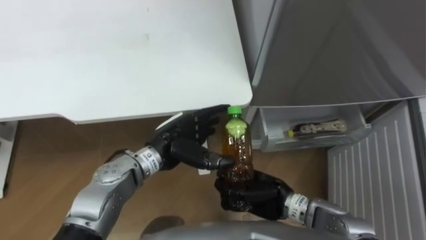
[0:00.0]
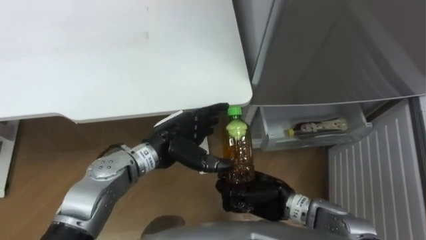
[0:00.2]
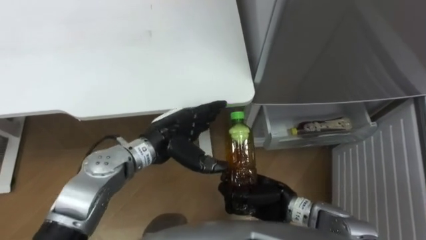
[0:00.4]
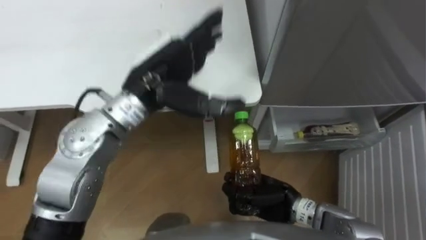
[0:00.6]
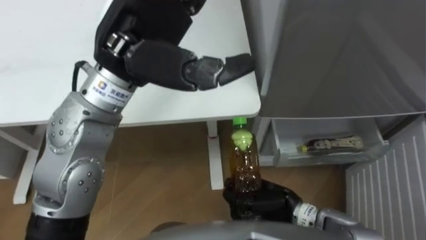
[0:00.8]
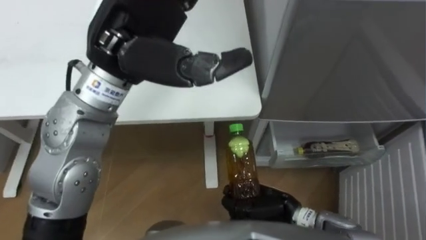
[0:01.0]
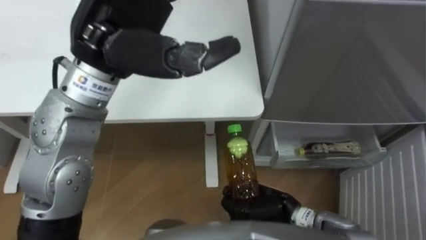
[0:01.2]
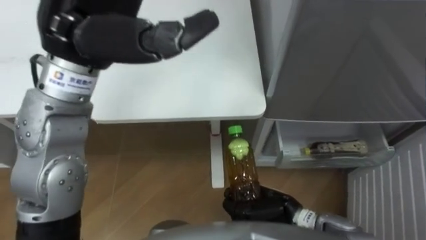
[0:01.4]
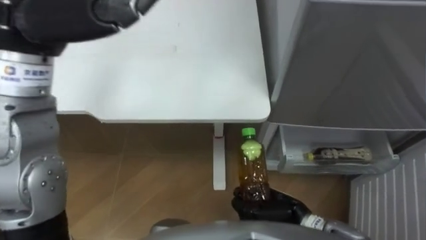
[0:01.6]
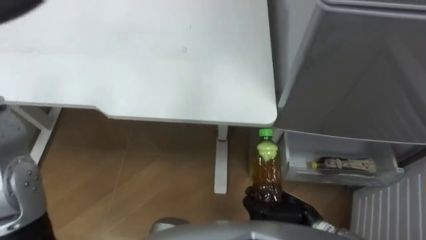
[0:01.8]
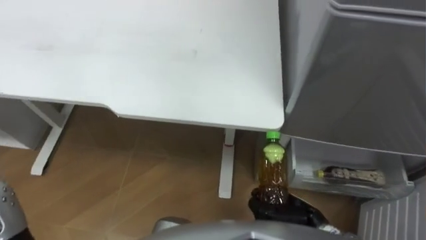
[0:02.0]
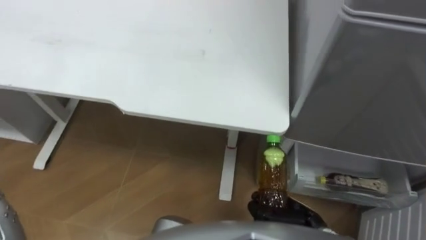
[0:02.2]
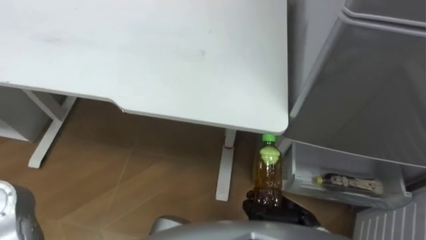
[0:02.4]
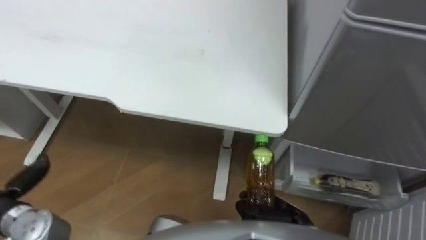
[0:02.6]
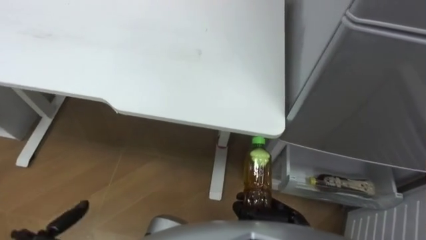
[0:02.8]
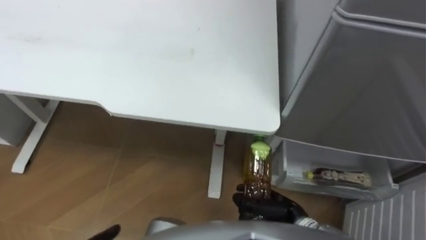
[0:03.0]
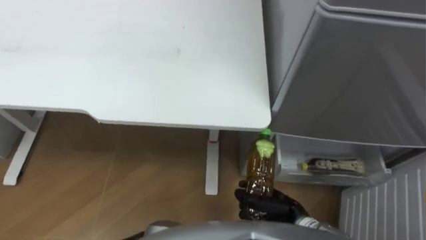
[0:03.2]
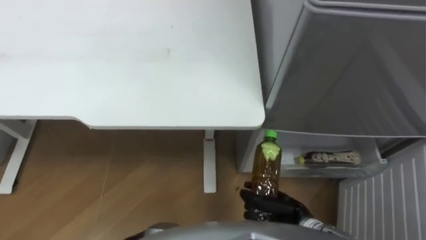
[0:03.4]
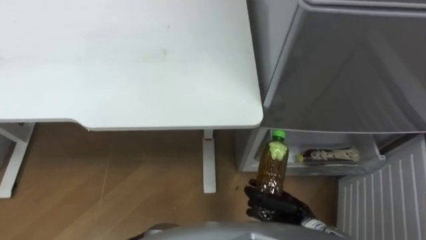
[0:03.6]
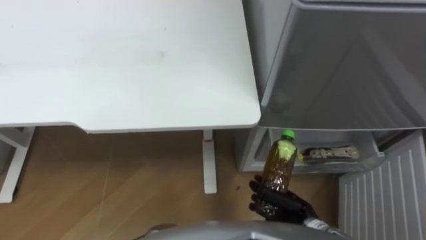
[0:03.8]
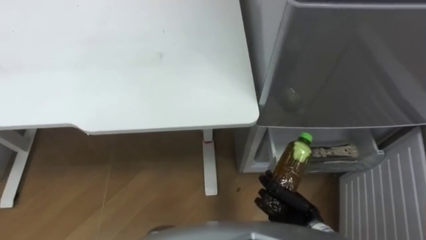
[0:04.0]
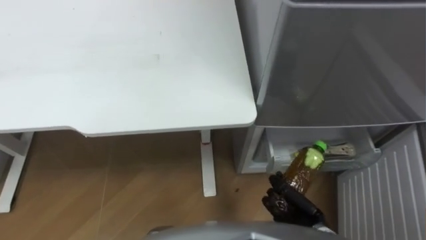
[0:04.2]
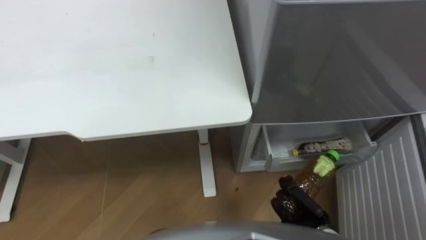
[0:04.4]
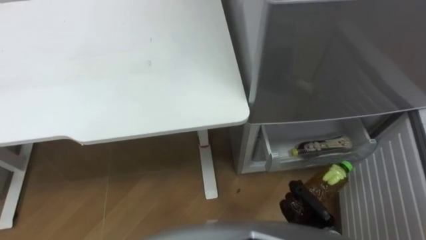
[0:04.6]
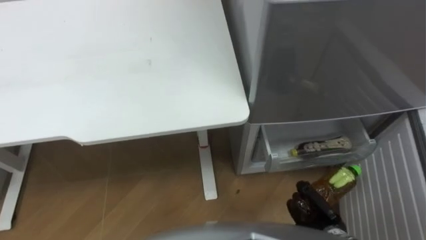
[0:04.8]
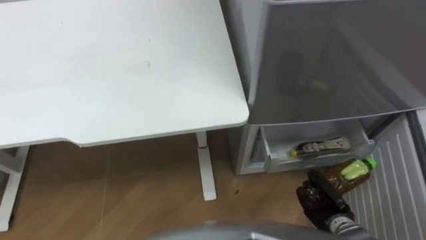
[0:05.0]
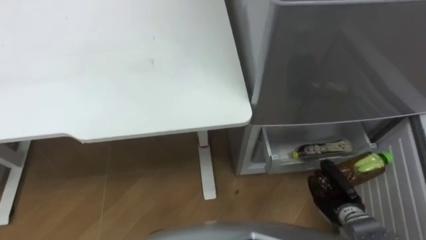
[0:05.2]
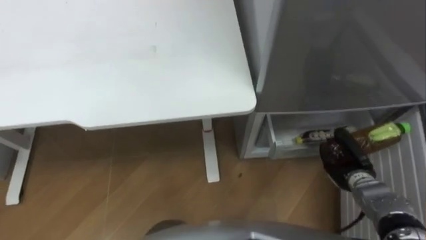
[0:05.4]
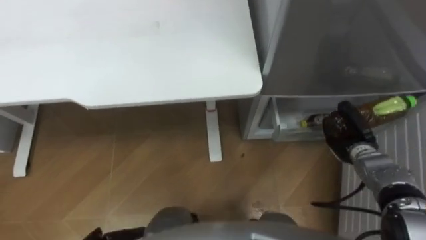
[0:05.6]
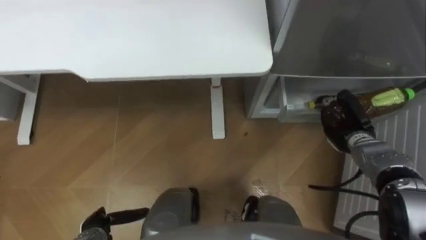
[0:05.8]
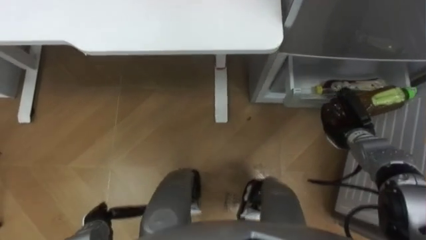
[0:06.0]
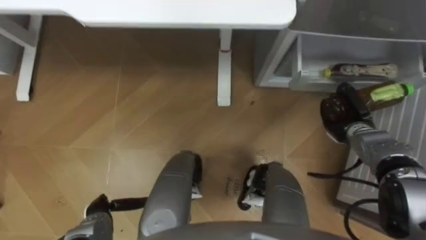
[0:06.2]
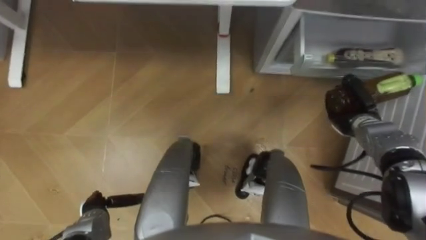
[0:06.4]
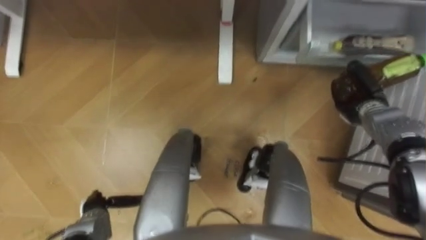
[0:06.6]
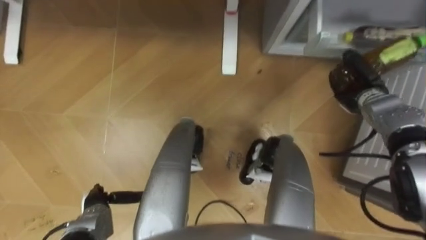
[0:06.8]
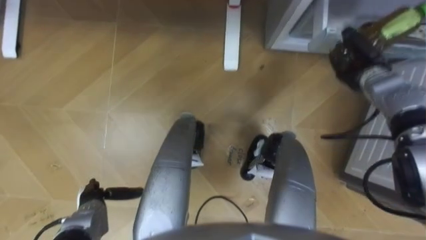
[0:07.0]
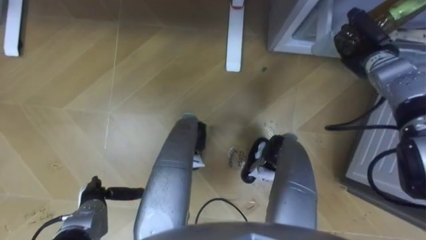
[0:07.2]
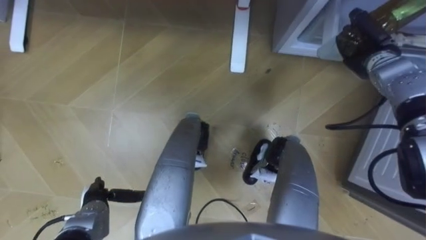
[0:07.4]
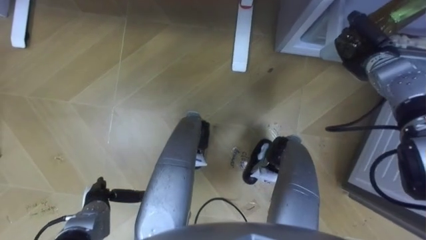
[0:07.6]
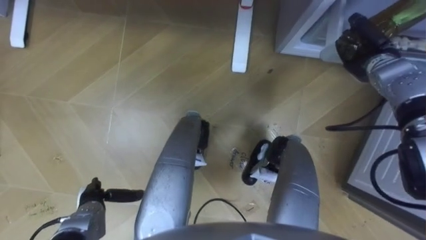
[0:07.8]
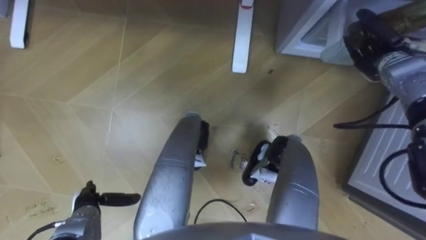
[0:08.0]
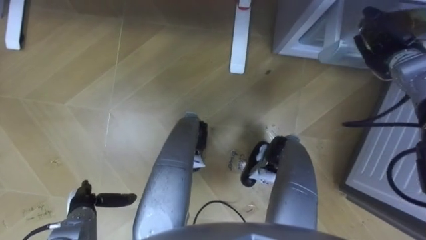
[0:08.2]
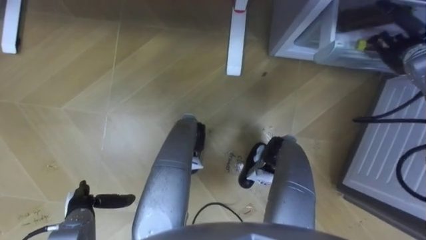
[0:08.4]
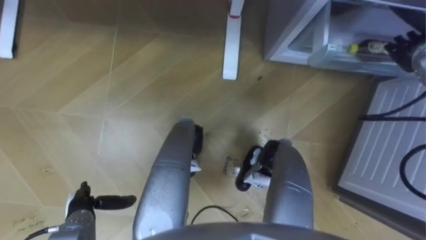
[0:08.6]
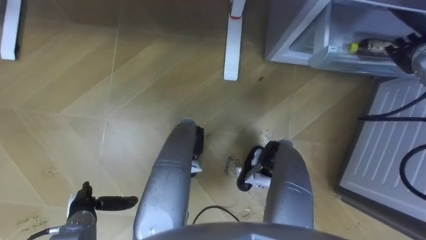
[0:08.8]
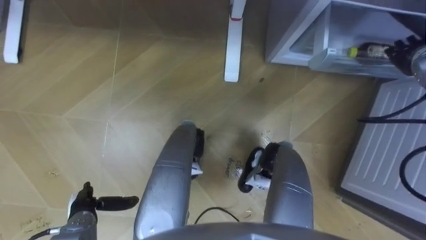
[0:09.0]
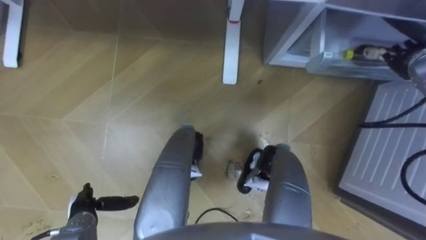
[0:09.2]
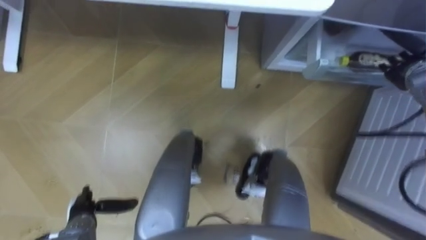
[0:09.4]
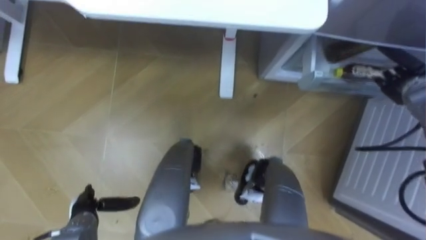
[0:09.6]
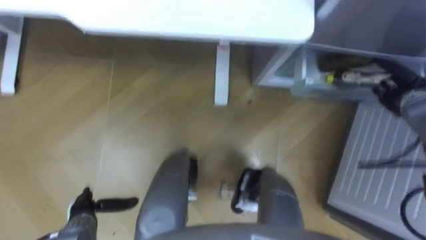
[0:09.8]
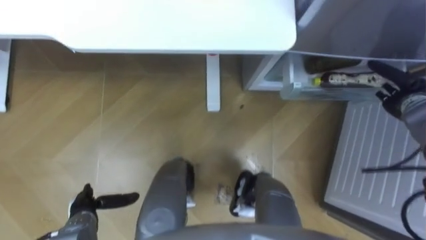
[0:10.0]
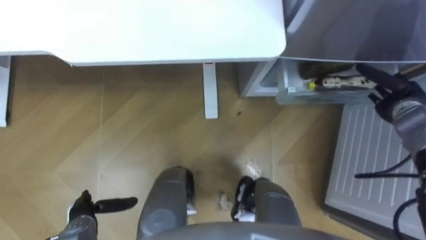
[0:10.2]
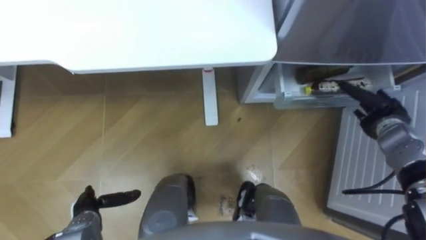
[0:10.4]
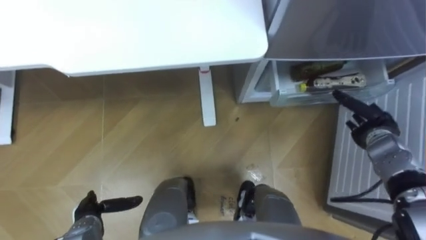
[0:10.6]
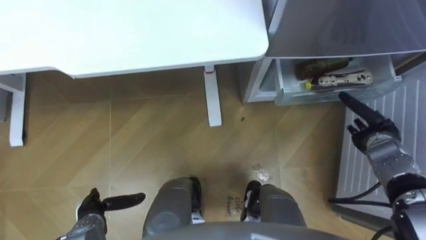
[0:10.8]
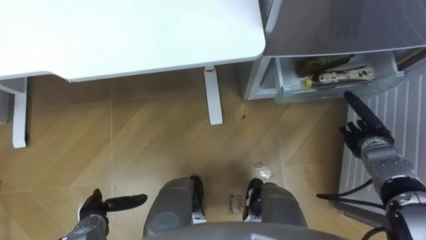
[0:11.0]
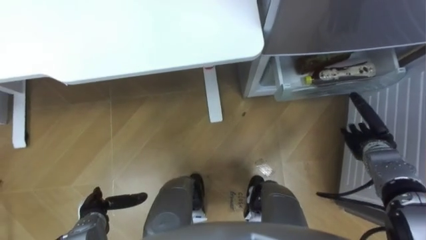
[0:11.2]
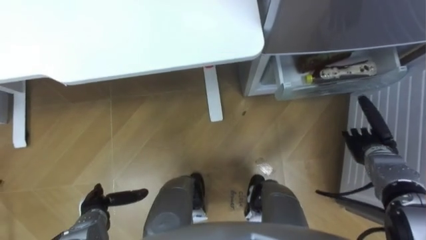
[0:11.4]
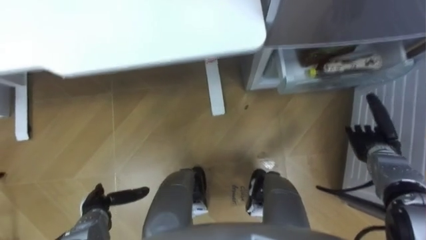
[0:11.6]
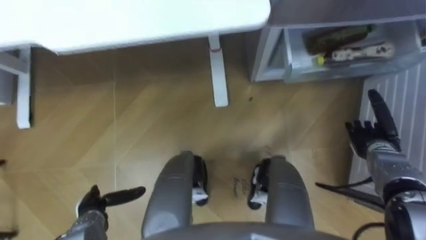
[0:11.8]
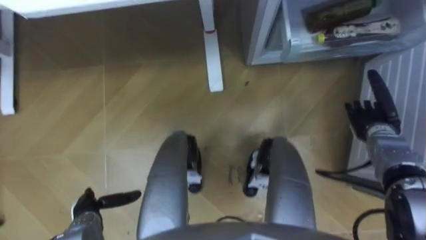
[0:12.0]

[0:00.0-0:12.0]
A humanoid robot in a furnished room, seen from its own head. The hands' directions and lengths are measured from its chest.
Task of the whole recording: Place the drink on the table on the bottom shelf of the refrigerator, then close the drawer and the refrigerator door.
0:00.0 to 0:01.6: The right hand shifts by about 5 cm. The left hand shifts roughly 30 cm upward.
0:03.0 to 0:04.4: The right hand heads to the right, covering some 5 cm.
0:04.4 to 0:06.0: The right hand goes about 20 cm forward and to the right.
0:06.0 to 0:07.6: The left hand moves approximately 5 cm; the right hand travels upward and forward by roughly 15 cm.
0:07.6 to 0:09.0: The right hand goes about 5 cm to the right, and opens its fingers.
0:09.0 to 0:10.4: The right hand travels downward and backward by approximately 15 cm.

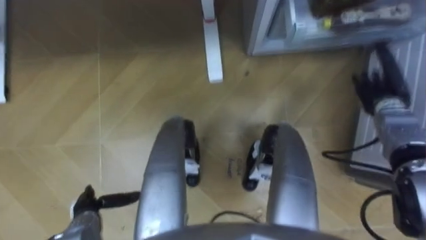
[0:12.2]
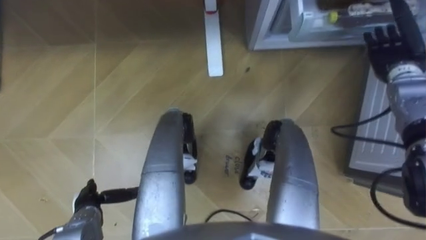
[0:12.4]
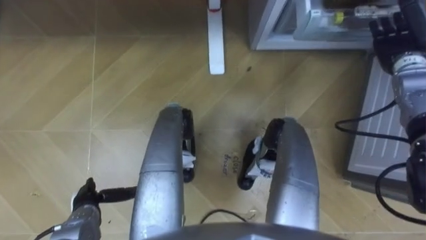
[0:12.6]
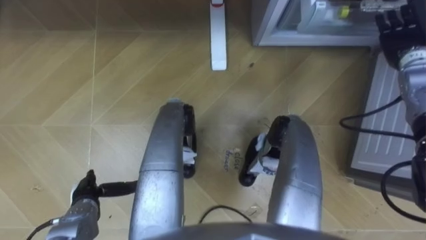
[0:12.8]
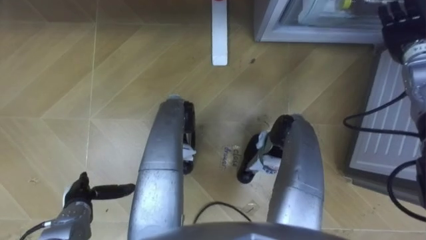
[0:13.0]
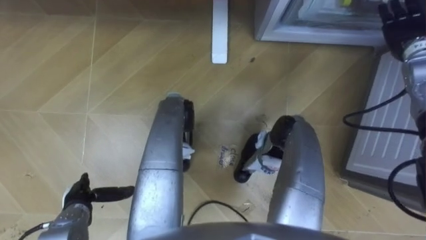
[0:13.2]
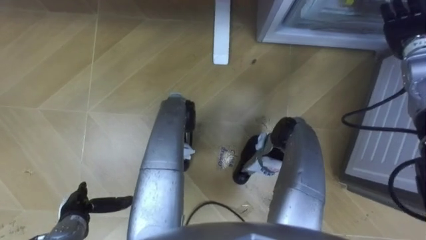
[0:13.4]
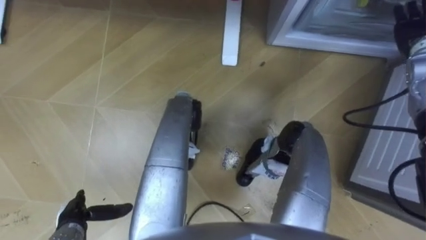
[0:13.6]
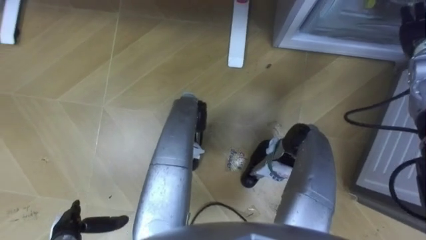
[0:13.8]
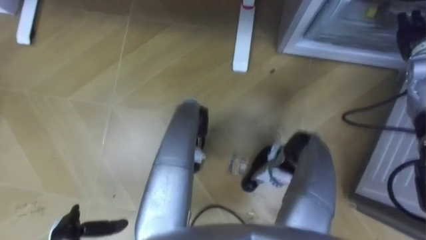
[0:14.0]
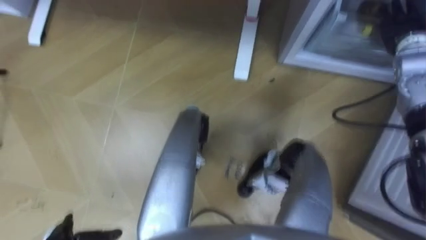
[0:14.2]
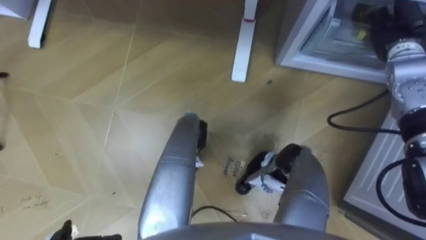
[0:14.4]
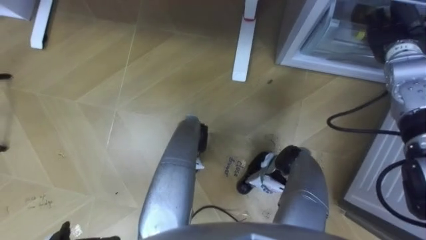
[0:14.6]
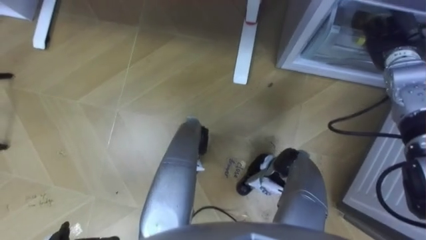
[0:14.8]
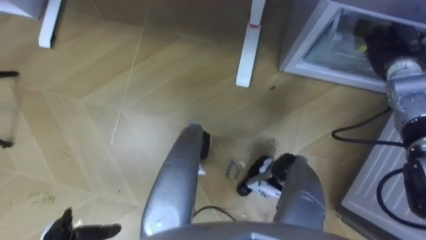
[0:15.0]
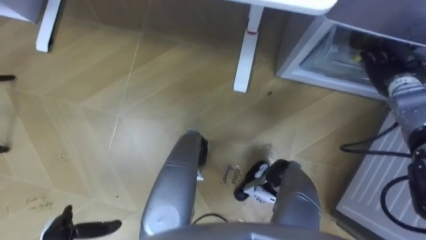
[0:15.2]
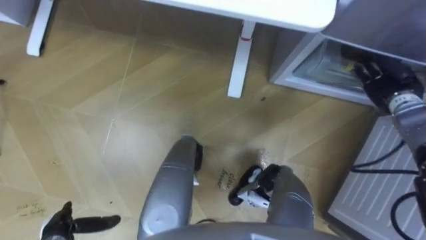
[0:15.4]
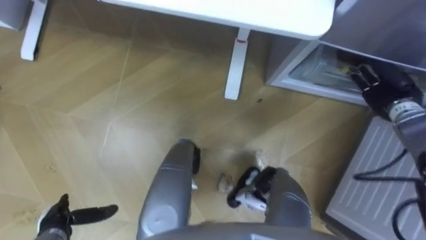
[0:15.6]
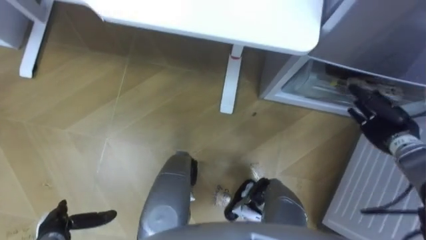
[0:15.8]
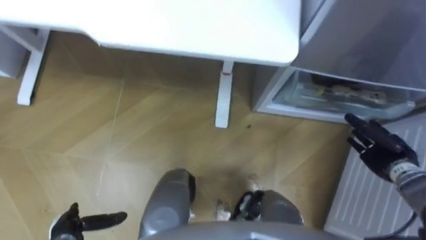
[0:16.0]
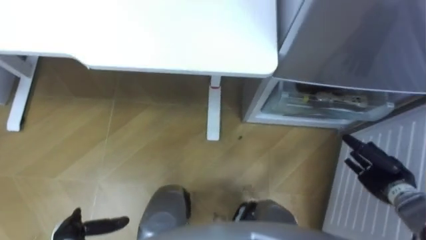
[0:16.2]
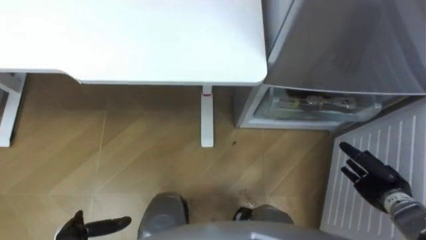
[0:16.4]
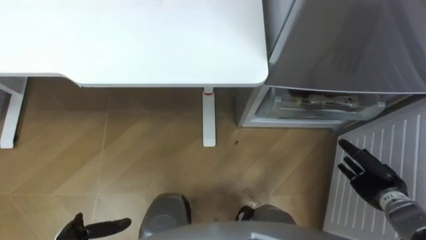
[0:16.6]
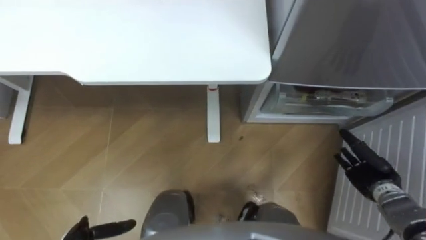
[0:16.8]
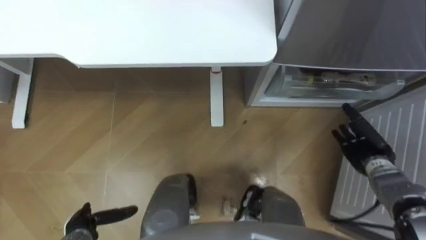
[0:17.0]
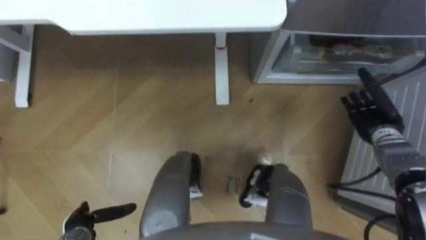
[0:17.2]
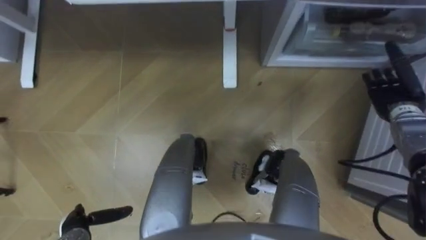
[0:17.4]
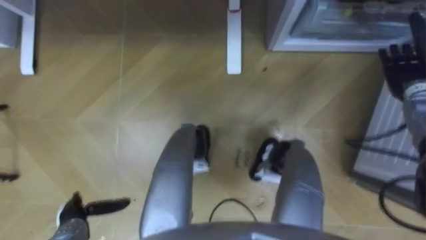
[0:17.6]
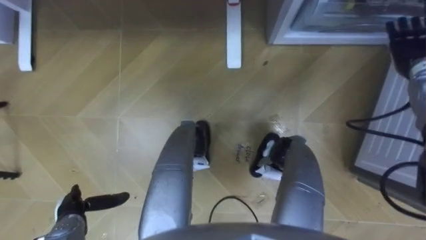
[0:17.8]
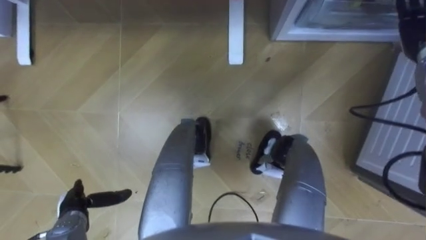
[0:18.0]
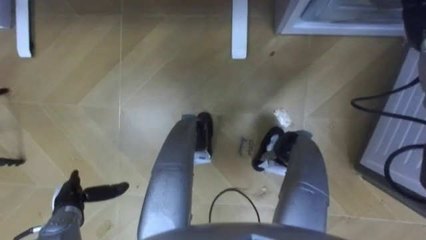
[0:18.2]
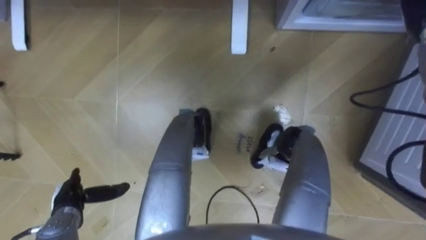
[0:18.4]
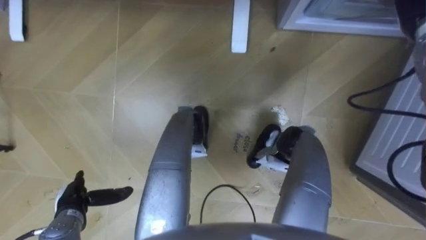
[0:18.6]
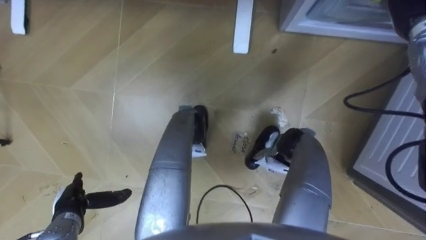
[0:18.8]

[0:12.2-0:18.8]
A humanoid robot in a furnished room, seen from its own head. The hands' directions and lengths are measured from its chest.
Task of the whole recording: Place the drink on the table on the bottom shelf of the refrigerator, then close the drawer and the refrigerator door.
0:12.2 to 0:13.8: The right hand travels upward and forward by about 15 cm. Meanwhile the left hand moves roughly 5 cm.
0:13.8 to 0:15.4: The right hand is displaced downward and backward by about 10 cm.
0:15.4 to 0:17.2: The right hand is displaced downward by about 5 cm, and moves about 20 cm backward and comes back.
0:17.2 to 0:18.8: The left hand ends up approximately 5 cm from where it was.
